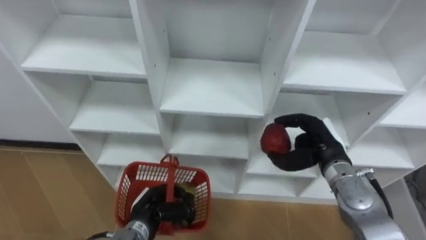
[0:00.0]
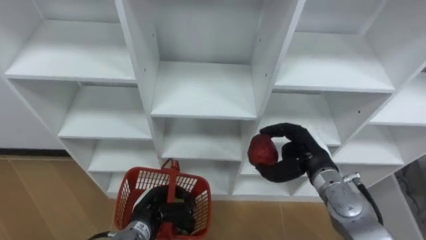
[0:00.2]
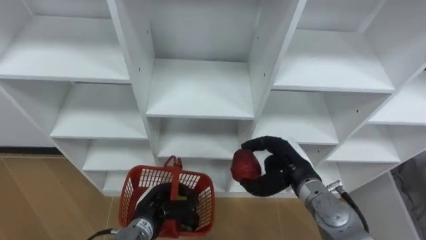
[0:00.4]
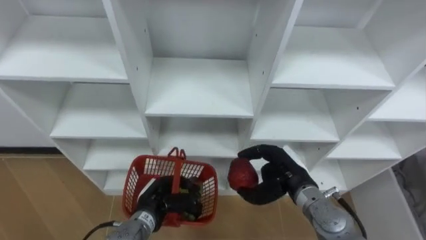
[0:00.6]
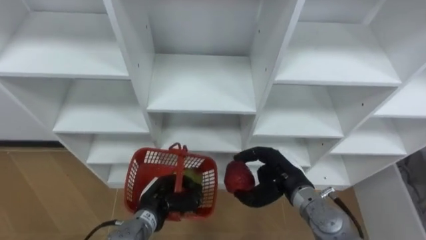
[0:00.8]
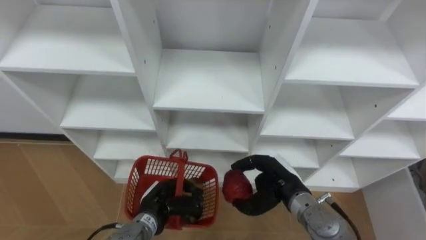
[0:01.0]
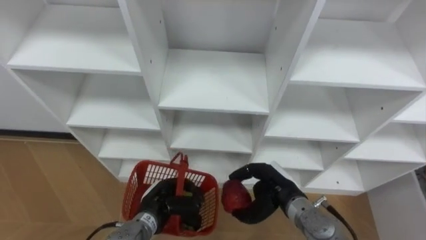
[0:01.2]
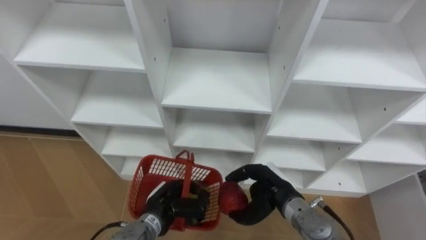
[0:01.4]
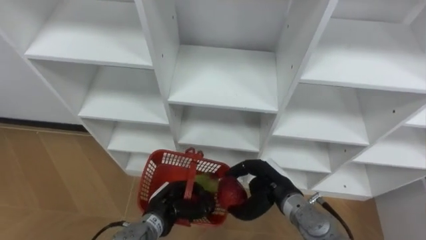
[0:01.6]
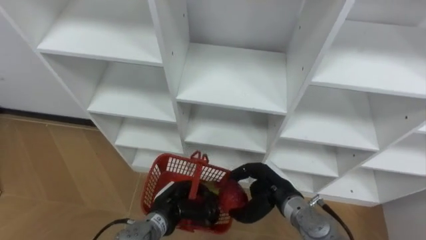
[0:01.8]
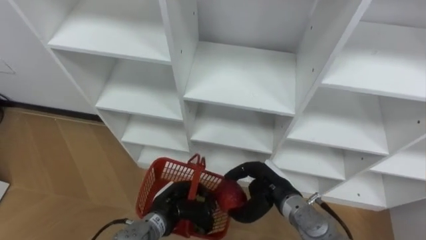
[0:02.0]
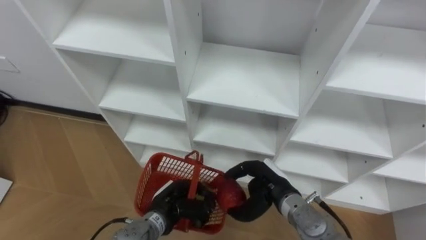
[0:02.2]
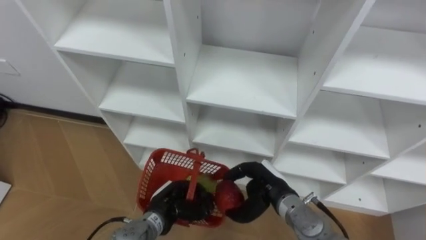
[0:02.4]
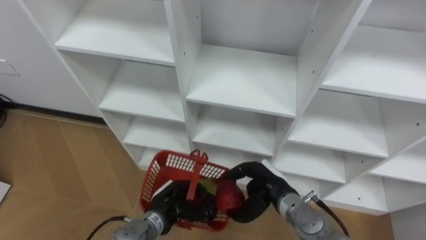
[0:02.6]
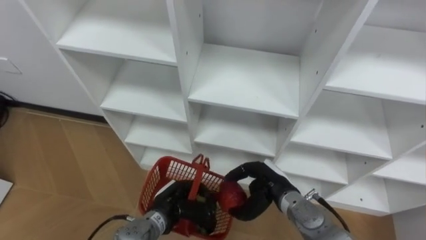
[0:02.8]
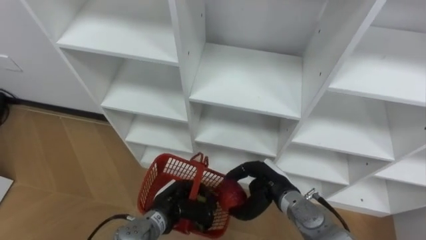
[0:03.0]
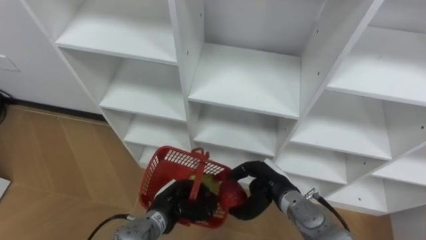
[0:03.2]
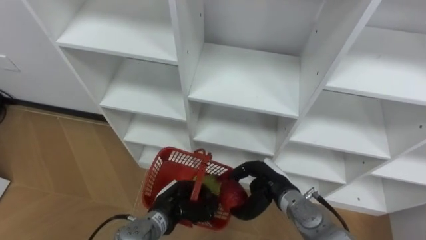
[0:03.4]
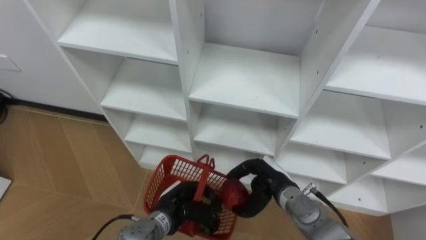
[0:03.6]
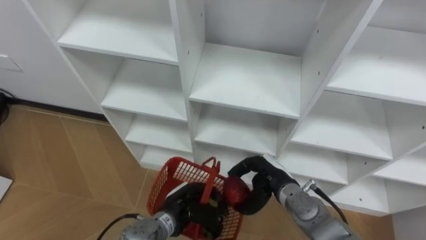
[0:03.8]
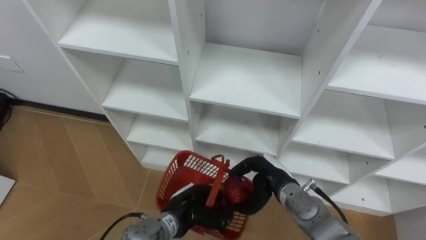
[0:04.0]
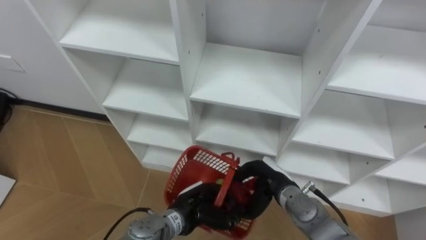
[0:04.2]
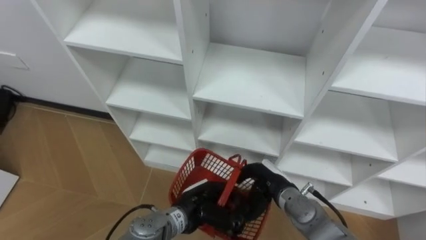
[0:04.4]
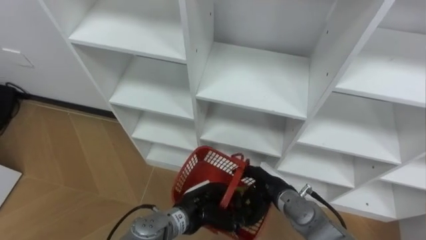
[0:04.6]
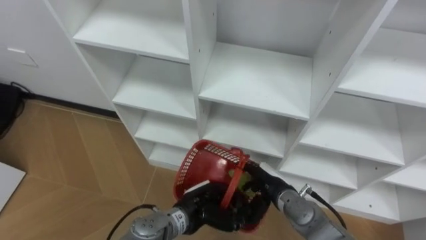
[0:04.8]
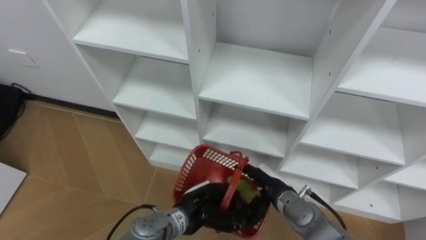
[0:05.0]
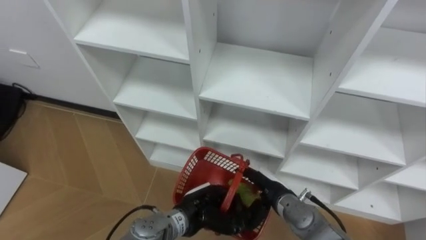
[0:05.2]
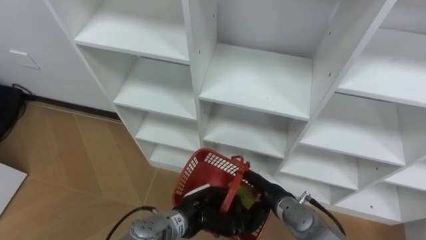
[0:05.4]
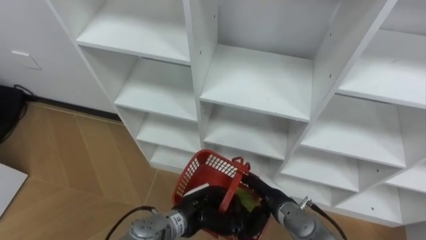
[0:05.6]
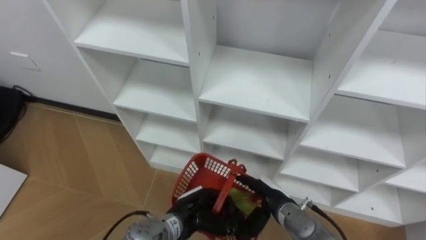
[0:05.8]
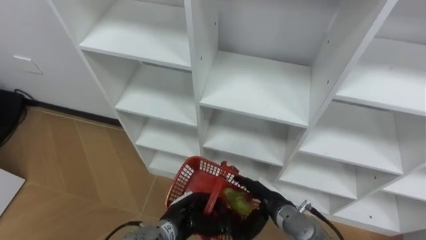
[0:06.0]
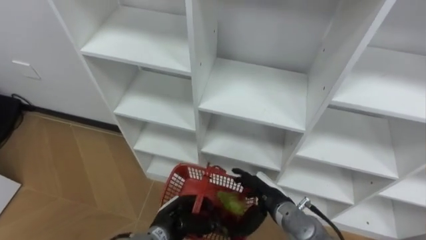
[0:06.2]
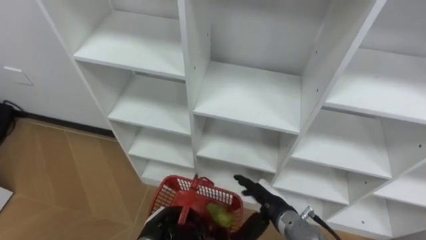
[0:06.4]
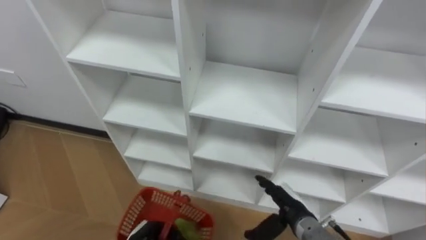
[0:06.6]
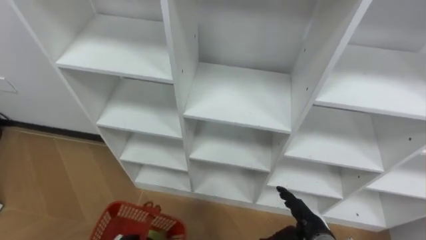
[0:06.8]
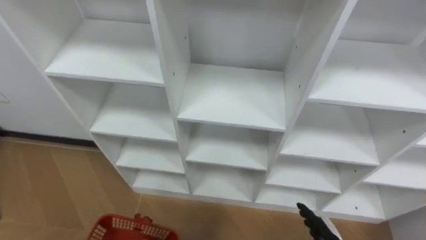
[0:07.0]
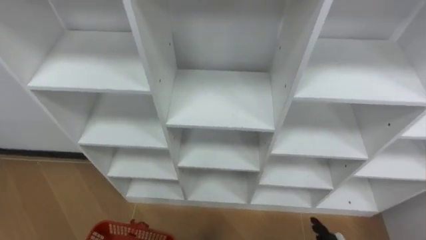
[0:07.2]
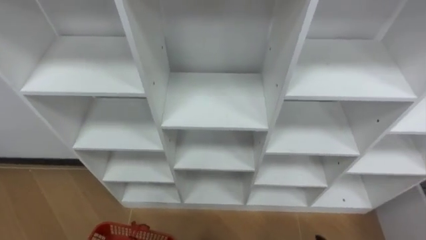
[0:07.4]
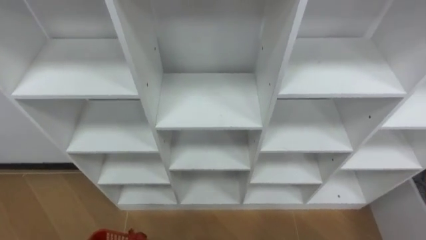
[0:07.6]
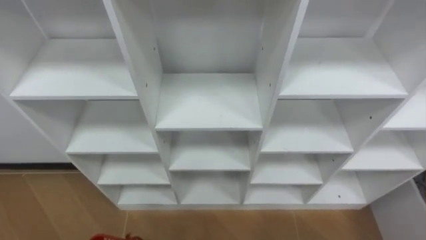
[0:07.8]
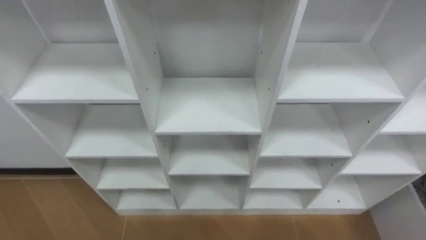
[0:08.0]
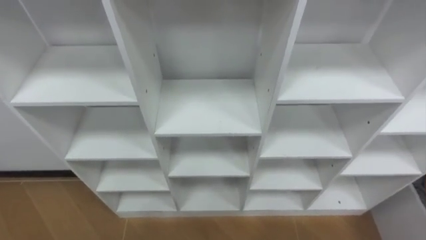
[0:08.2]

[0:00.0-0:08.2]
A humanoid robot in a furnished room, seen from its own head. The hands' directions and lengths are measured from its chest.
Task of the whole recording: Hold the basket and collect the fruits from 3 different cells of the closet into it.
0:00.0 to 0:01.6: The right hand travels to the left, downward and backward by approximately 15 cm.
0:03.2 to 0:05.0: The left hand heads to the right, covering roughly 5 cm, while the right hand opens up.
0:05.0 to 0:06.6: The left hand is displaced to the left, downward and backward by roughly 15 cm. Meanwhile the right hand shifts by about 5 cm.

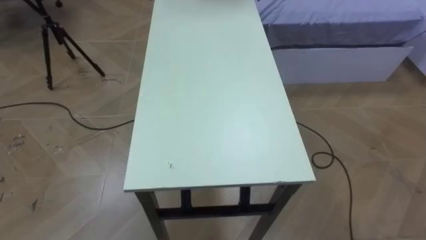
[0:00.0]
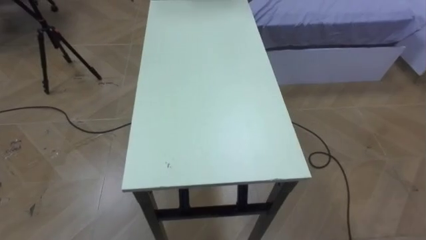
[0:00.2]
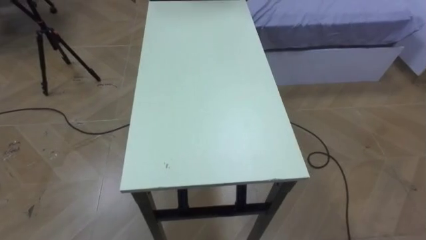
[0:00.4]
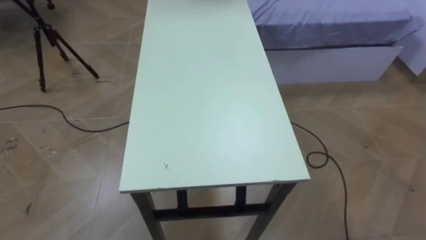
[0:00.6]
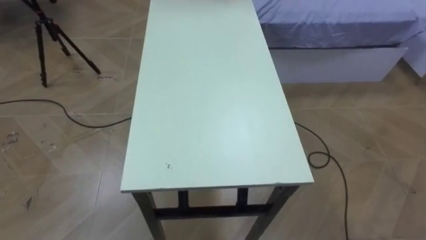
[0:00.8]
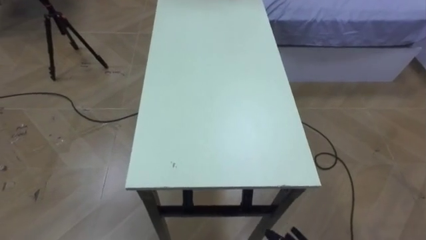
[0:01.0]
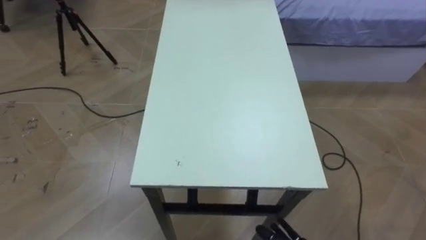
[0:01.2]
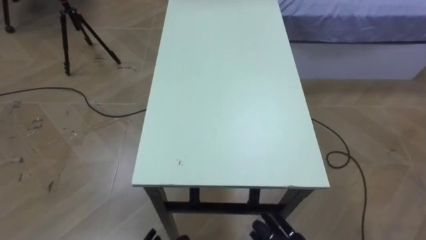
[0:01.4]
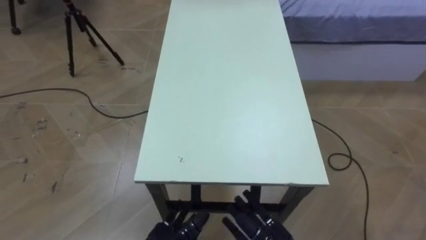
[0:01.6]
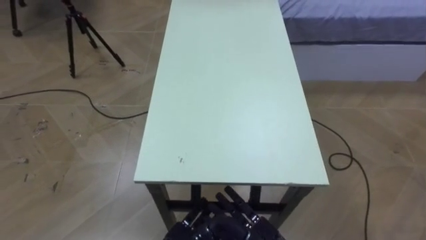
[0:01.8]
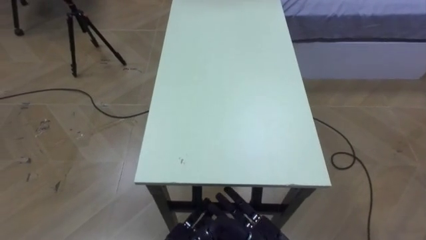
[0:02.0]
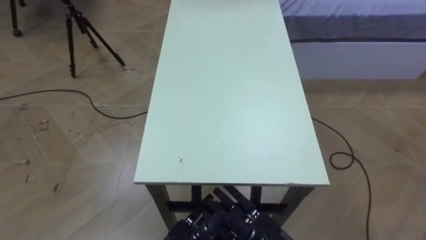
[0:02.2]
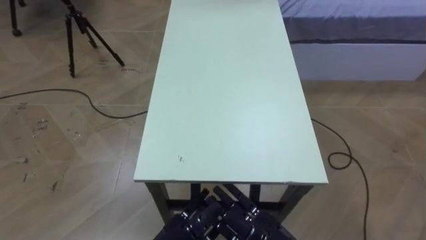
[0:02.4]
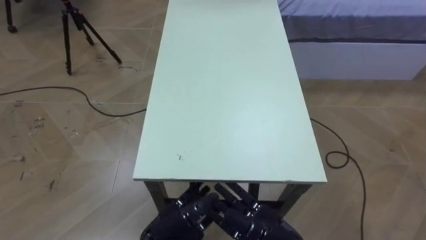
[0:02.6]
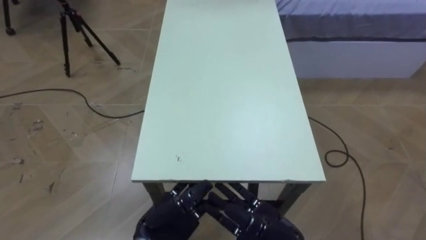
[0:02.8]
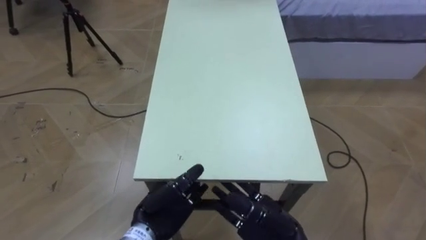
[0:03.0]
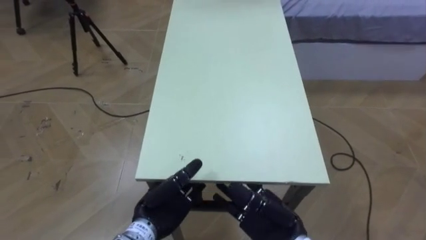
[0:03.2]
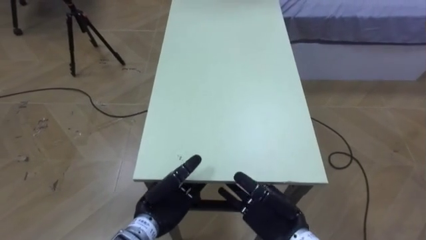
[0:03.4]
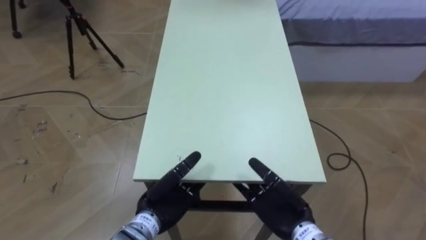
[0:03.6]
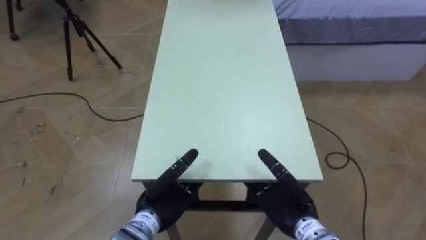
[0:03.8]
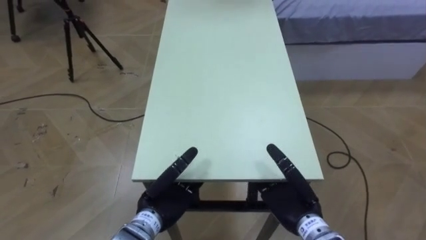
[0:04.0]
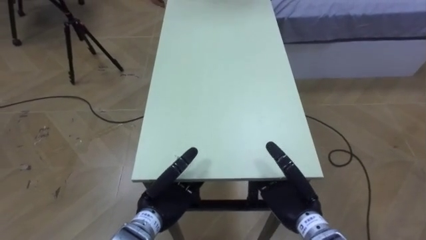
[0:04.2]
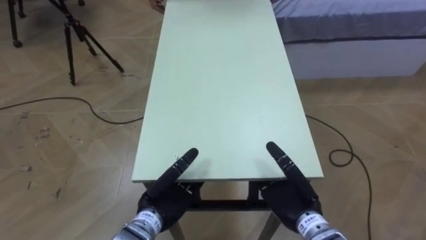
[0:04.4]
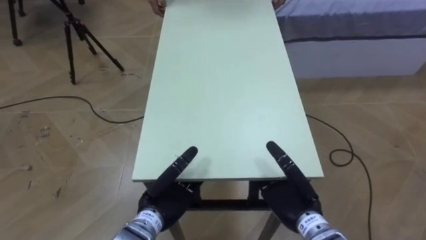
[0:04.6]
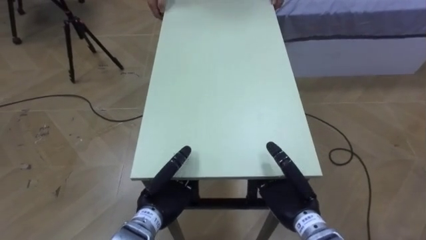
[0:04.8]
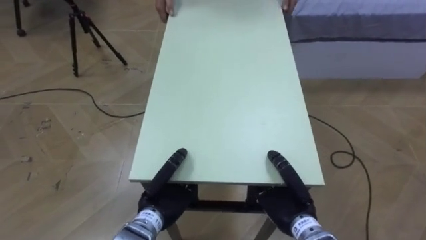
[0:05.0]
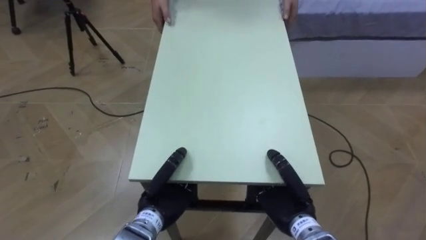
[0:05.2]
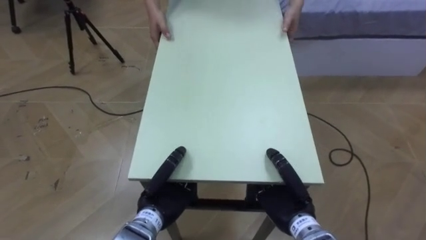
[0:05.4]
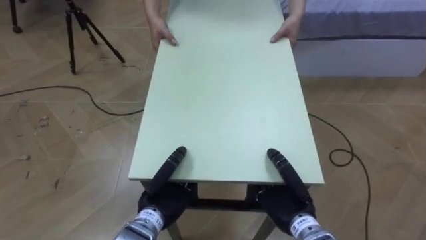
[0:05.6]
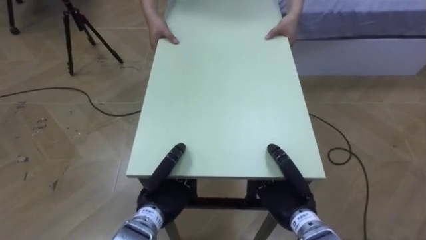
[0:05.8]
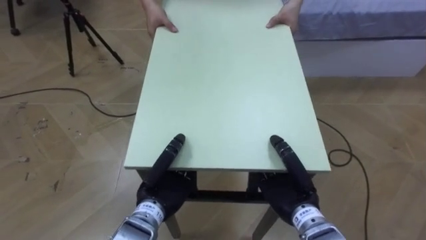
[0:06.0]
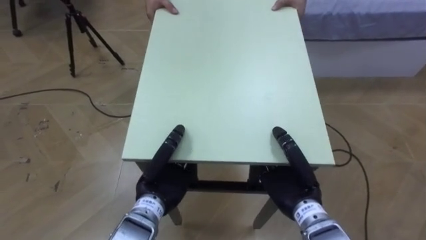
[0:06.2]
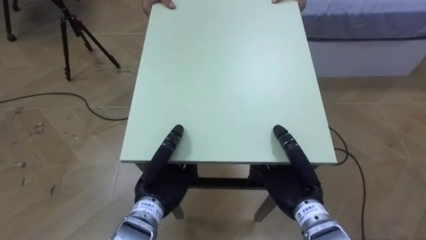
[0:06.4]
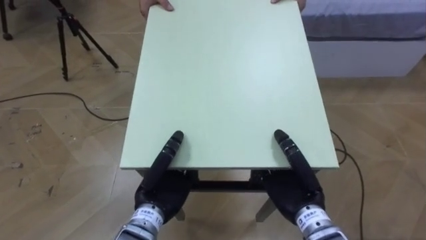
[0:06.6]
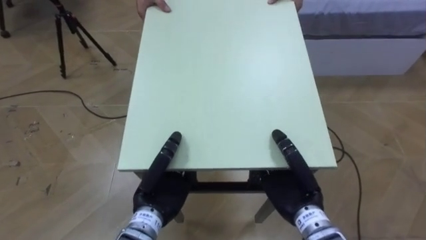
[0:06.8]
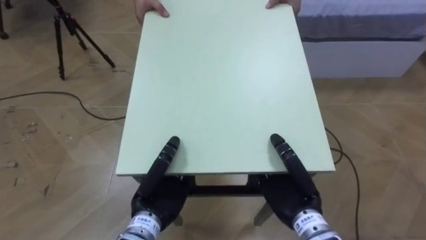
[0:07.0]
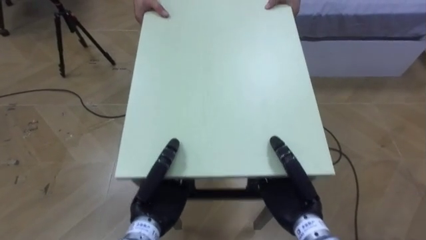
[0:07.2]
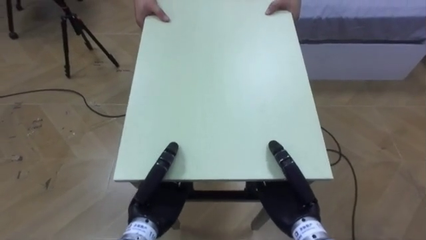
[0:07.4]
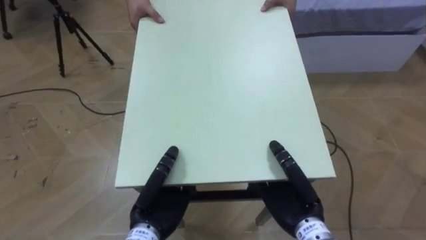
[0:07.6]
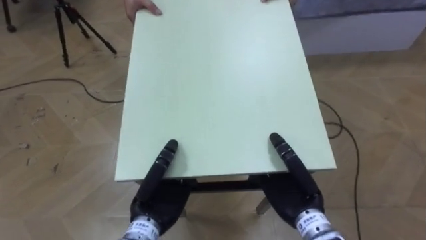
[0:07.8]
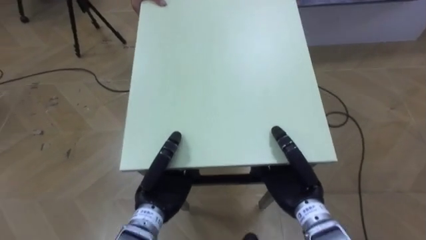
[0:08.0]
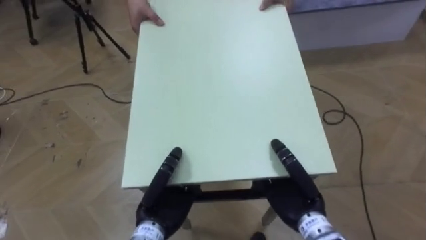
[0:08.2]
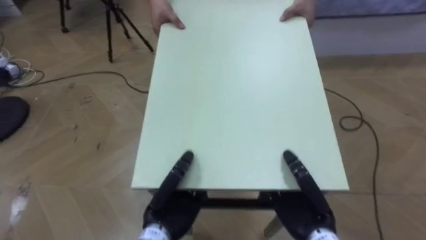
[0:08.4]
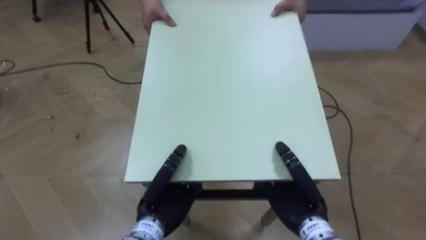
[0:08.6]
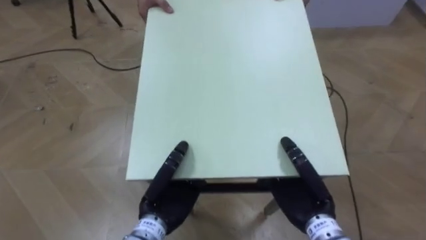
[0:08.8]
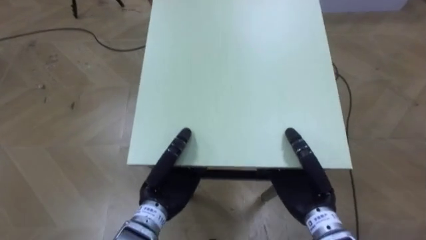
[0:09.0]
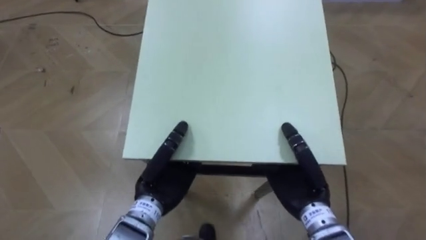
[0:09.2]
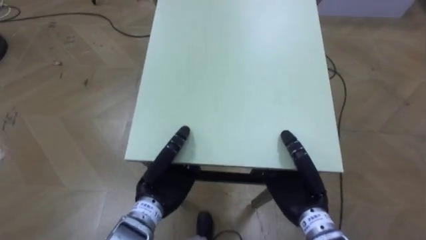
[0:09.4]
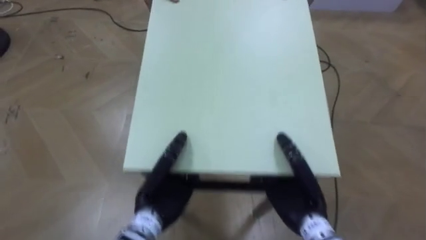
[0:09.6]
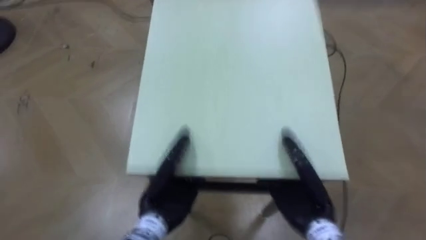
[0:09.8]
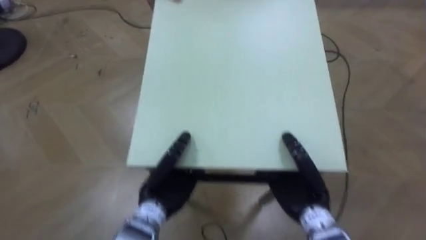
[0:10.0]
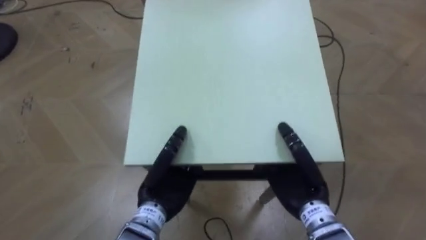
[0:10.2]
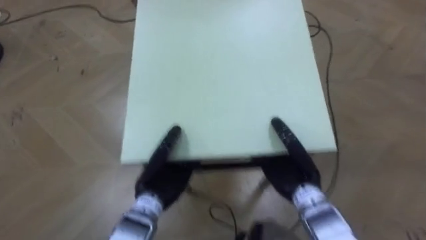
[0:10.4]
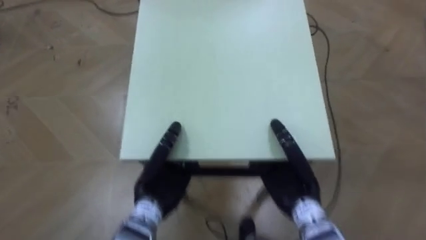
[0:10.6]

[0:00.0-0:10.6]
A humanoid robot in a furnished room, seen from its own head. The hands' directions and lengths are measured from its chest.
Task of the whole recording: Move the table to the back left with someone.
0:03.0 to 0:04.6: The right hand goes roughly 10 cm forward and to the right.
0:04.6 to 0:06.0: The left hand closes. Meanwhile the right hand closes.
